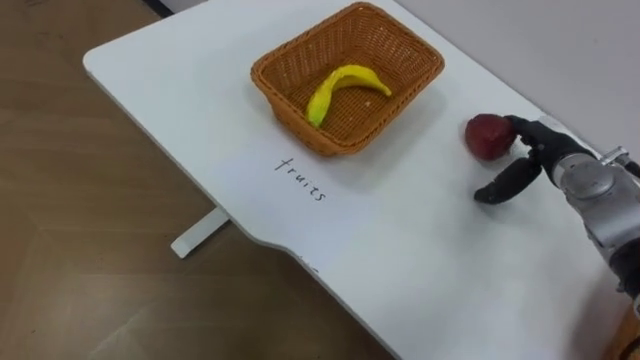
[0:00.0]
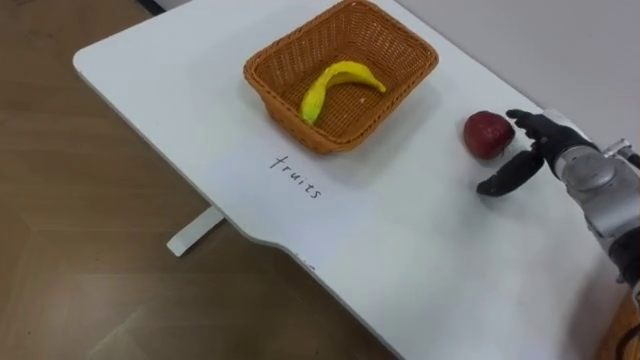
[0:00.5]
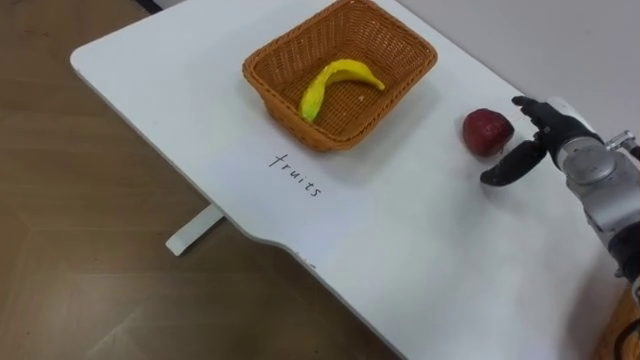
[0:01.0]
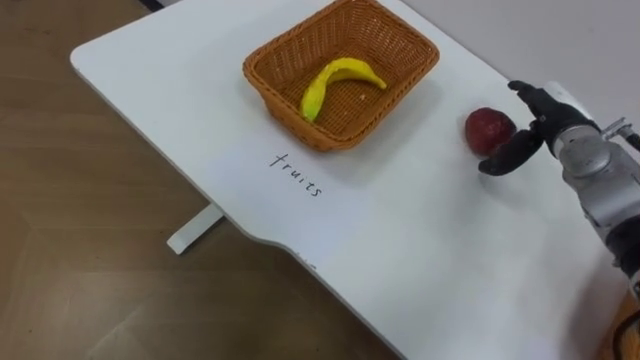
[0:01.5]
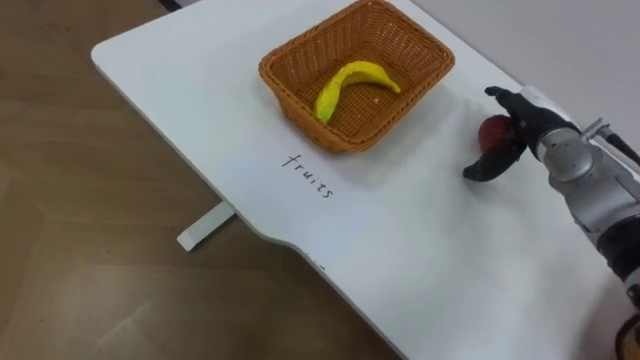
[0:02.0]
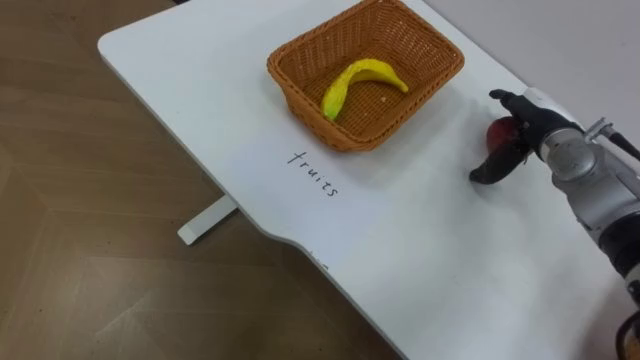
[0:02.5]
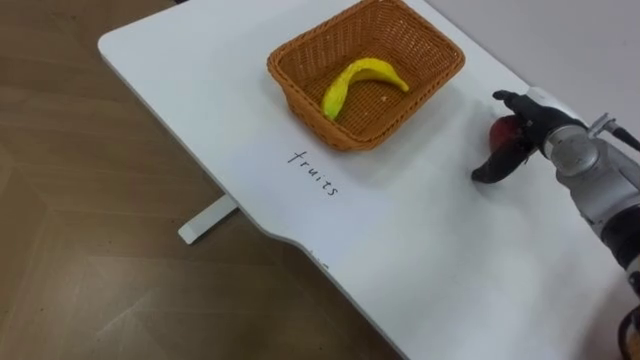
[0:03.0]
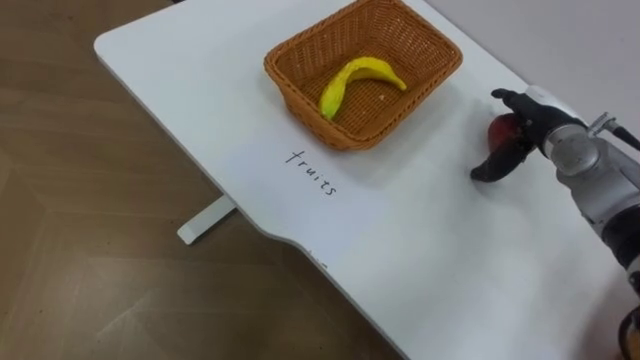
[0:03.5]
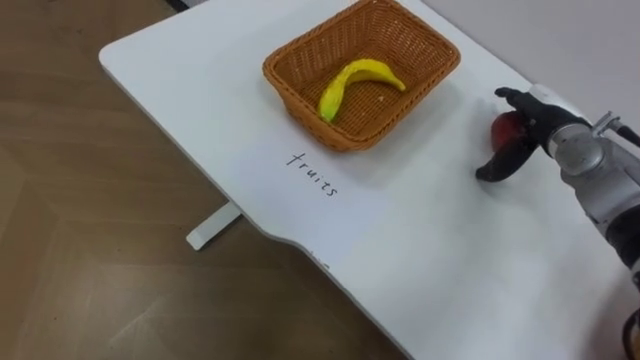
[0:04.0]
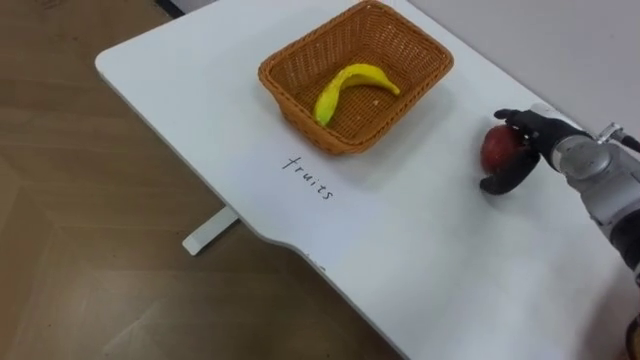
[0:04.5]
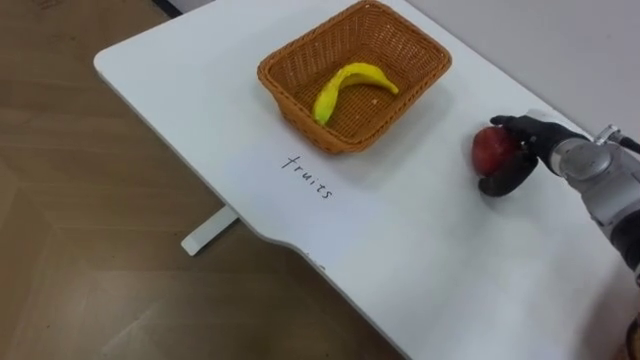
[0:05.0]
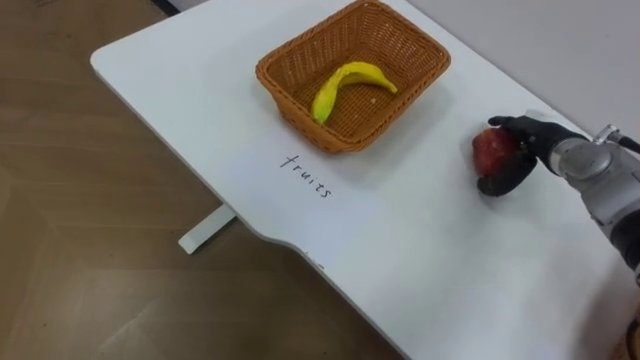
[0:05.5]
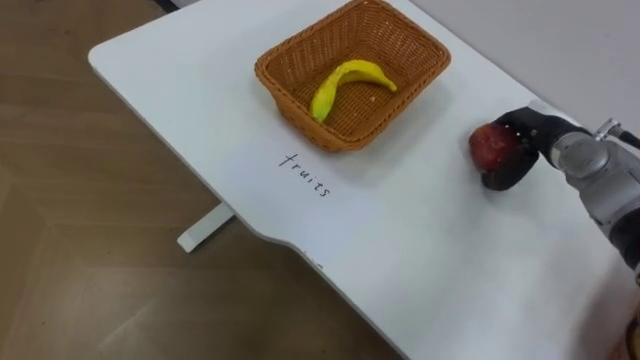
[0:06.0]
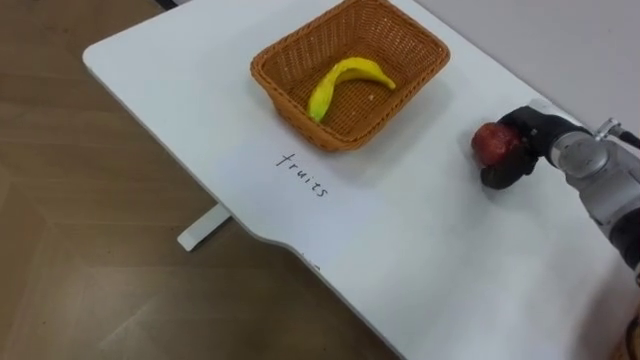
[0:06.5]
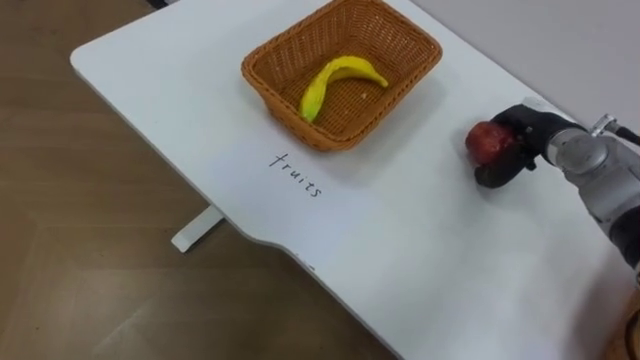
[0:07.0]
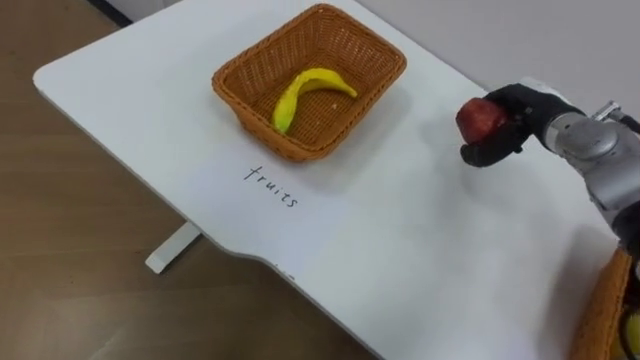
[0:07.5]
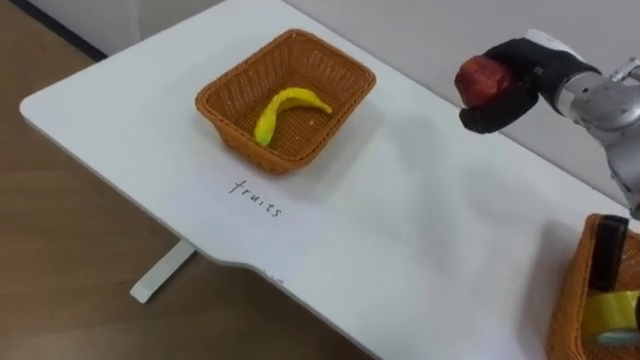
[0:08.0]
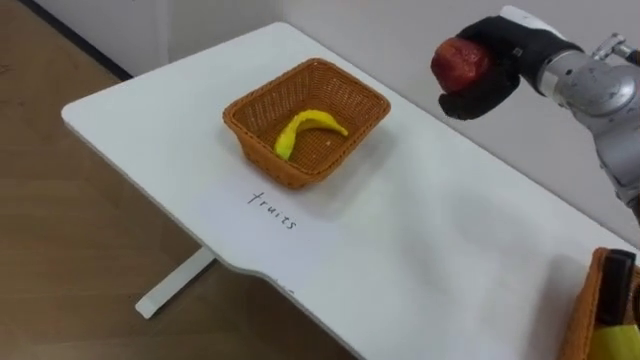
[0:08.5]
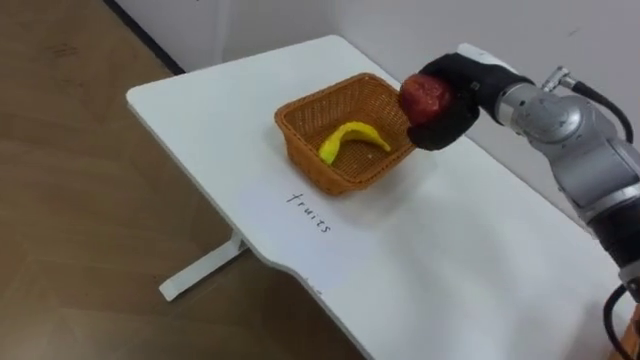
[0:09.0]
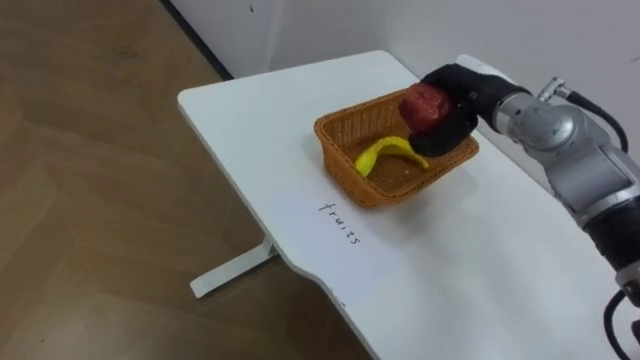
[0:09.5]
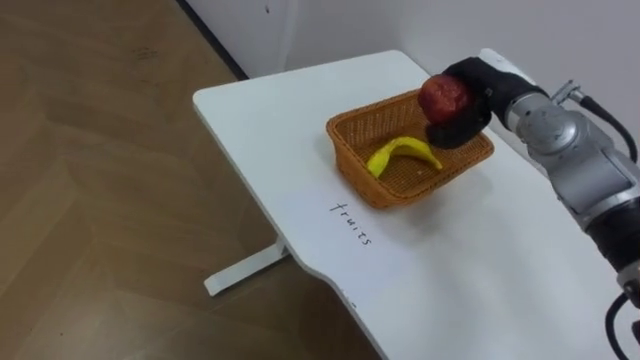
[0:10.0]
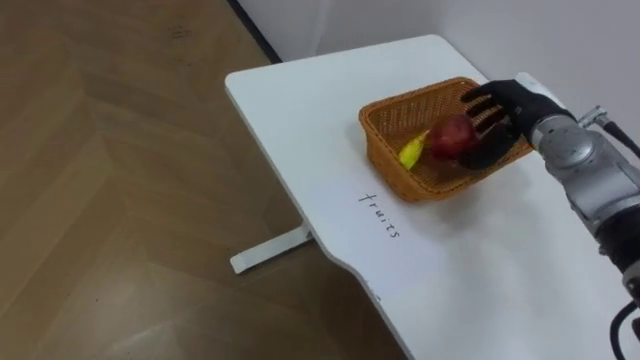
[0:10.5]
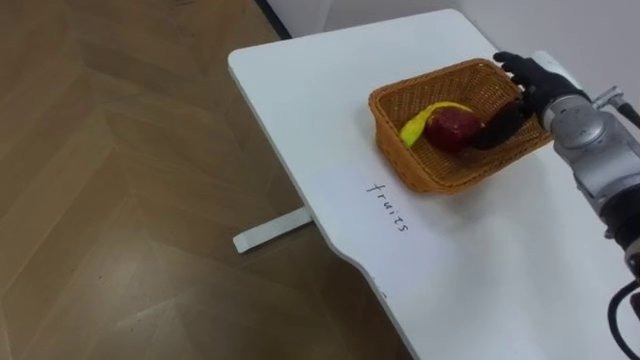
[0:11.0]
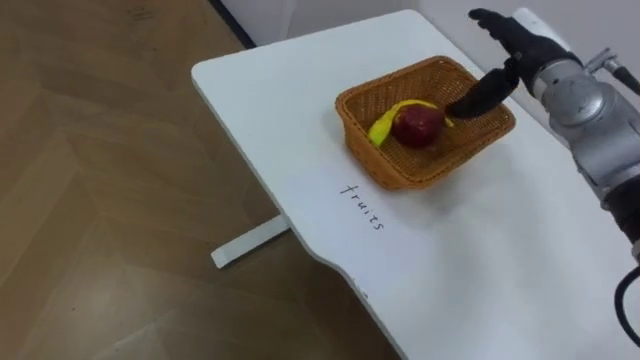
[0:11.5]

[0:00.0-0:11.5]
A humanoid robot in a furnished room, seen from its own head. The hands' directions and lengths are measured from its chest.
Task of the whole recording: Separate the items on the table and place them into the two baskets.
0:06.0 to 0:07.5: The right hand closes its fingers.
0:07.5 to 0:09.5: The right hand goes about 10 cm to the left.
0:09.5 to 0:11.5: The right hand heads to the right, covering approximately 5 cm, and opens.

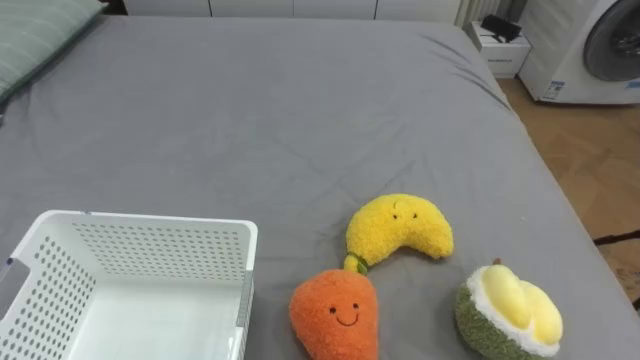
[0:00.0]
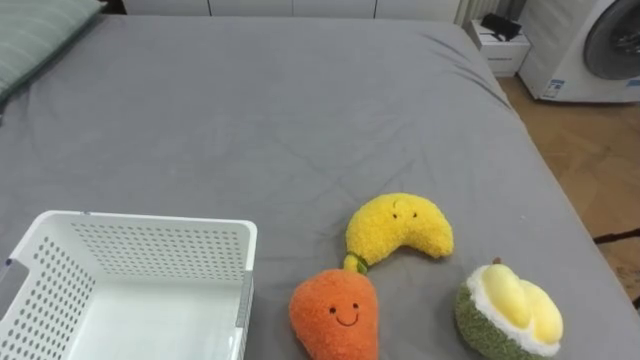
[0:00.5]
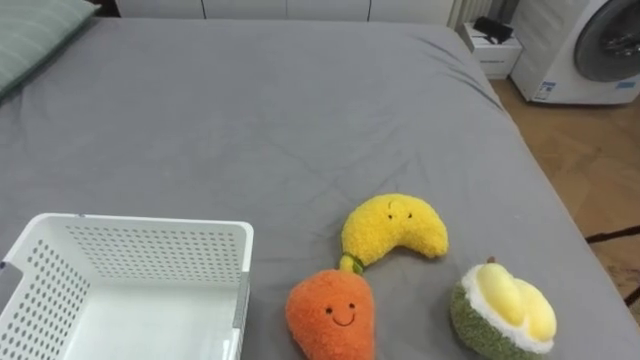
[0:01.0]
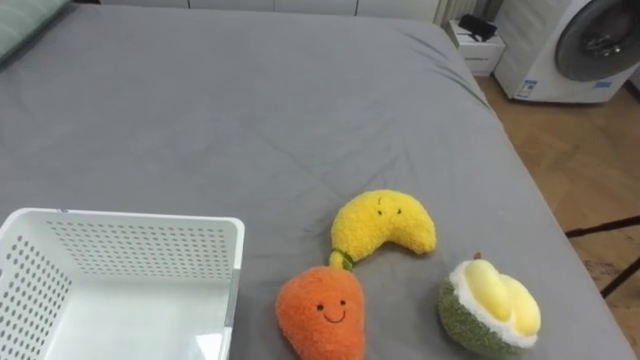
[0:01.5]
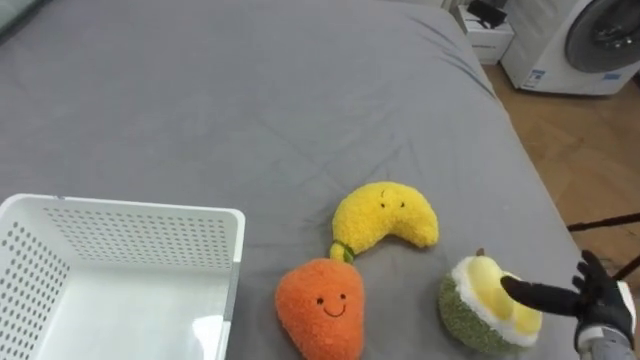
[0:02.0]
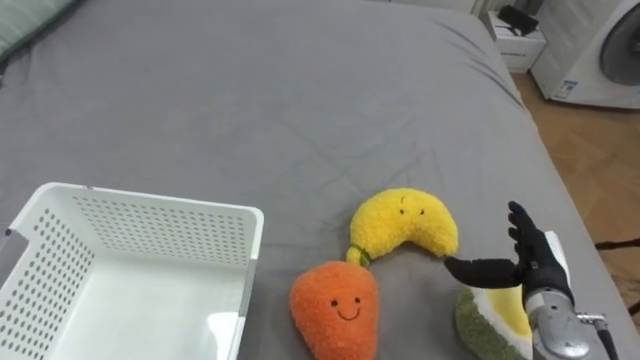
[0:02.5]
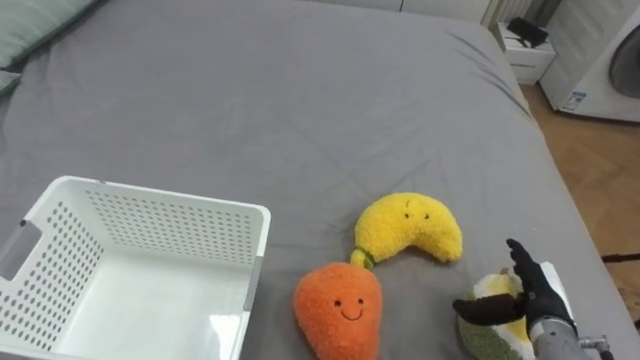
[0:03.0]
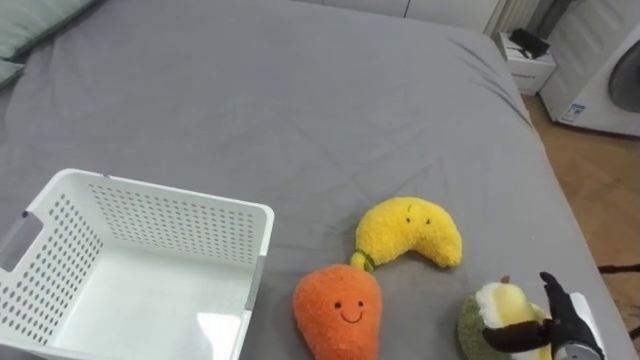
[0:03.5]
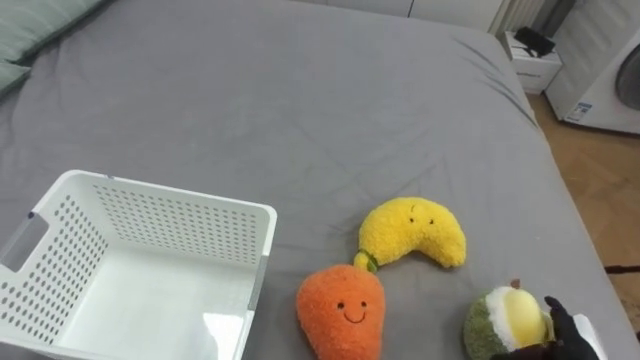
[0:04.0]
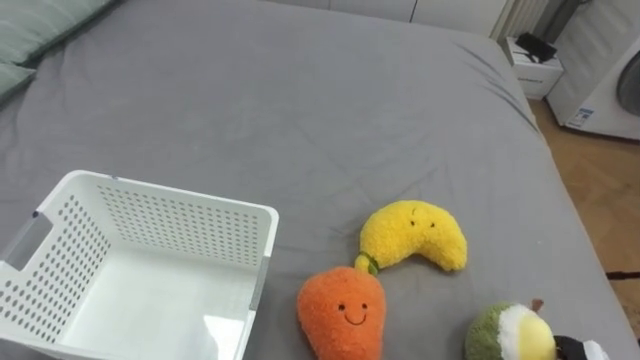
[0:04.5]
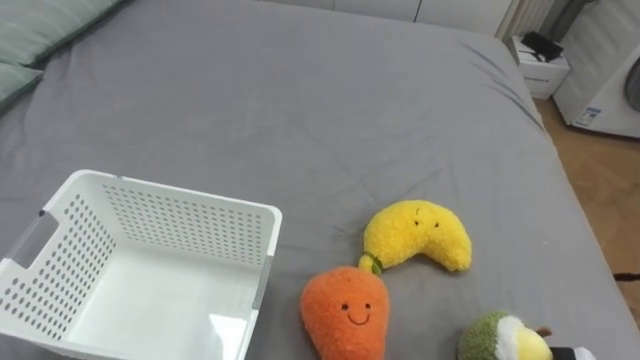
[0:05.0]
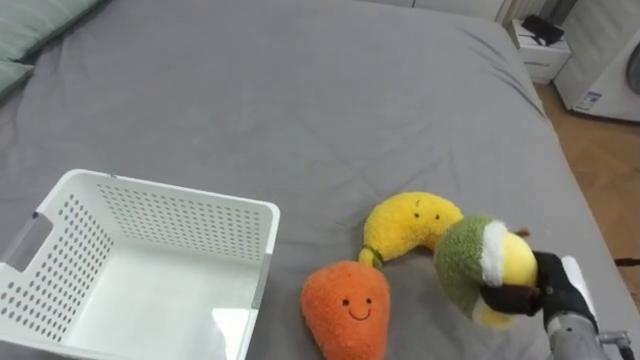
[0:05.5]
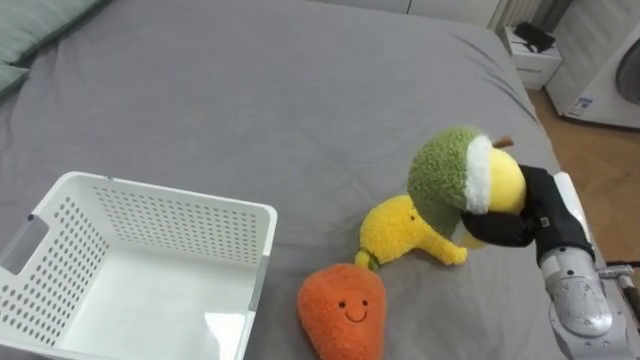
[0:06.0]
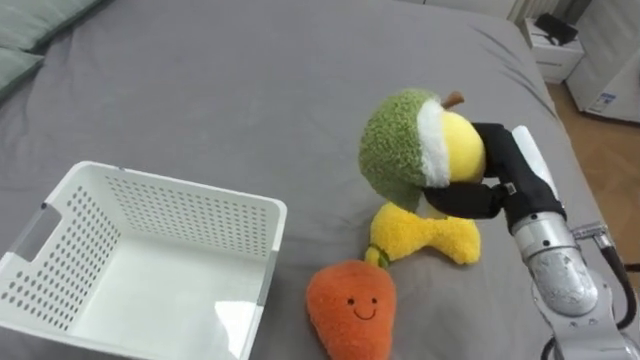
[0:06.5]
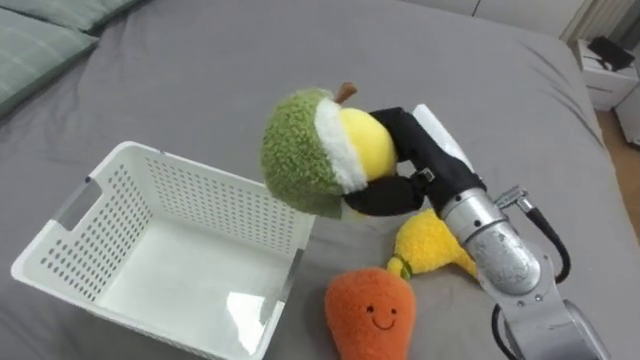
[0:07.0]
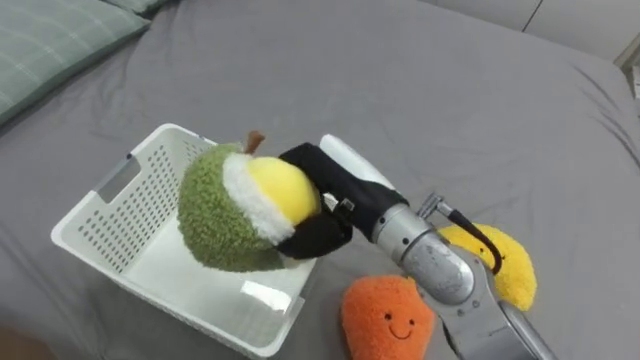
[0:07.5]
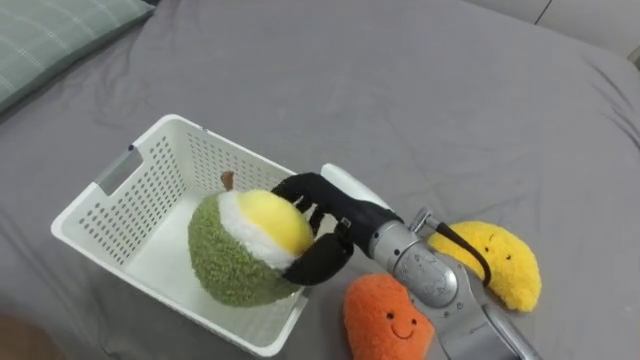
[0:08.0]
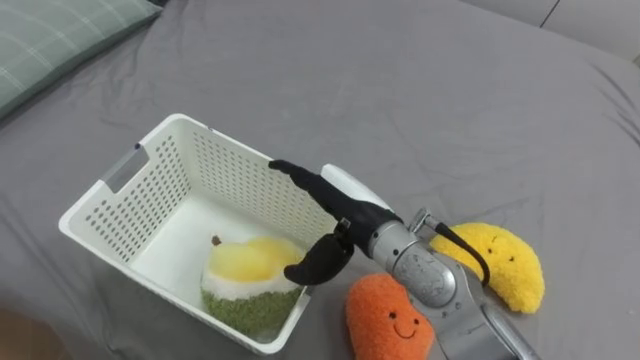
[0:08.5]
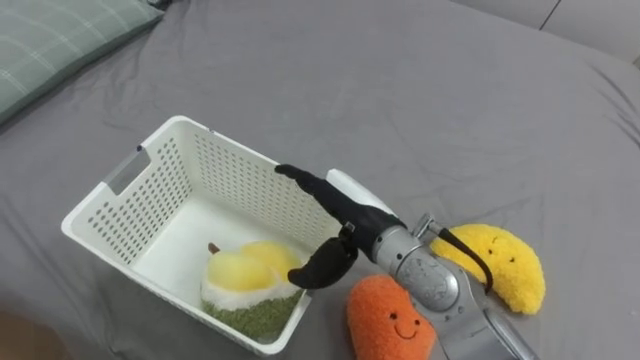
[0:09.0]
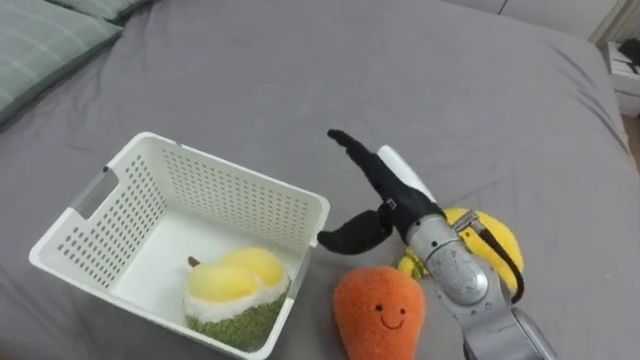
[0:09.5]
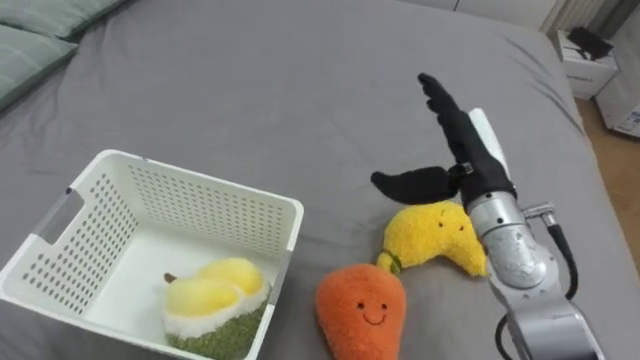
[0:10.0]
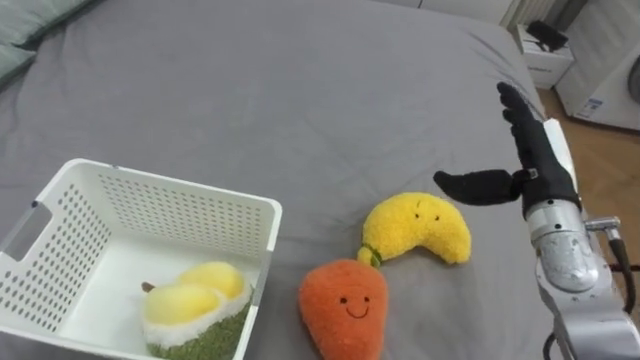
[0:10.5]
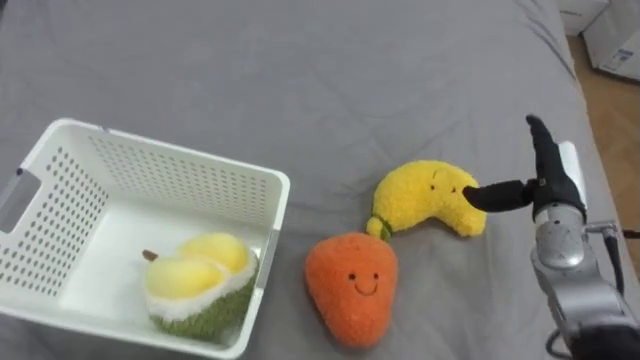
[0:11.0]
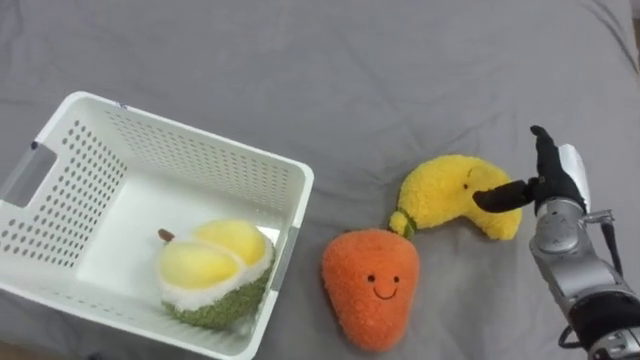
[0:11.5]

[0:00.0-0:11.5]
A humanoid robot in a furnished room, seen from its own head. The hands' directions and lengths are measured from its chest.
Task of the whole recording: Put the toys on the bed into the basket on the left.
0:02.0 to 0:04.0: The right hand travels forward and back again, roughly 5 cm each way.
0:06.0 to 0:07.5: The right hand travels to the left by some 25 cm.
0:07.5 to 0:09.5: The right hand moves to the right, about 5 cm, and opens up.
0:09.5 to 0:11.5: The right hand travels to the right by roughly 20 cm.
